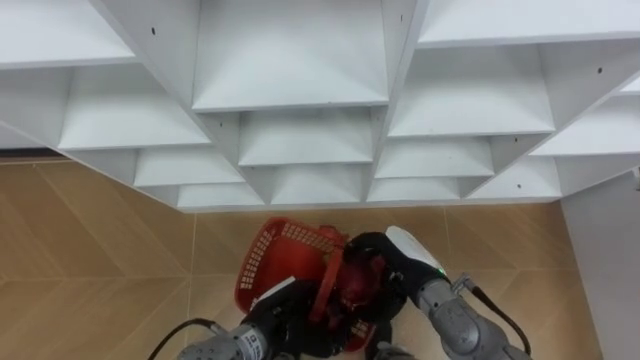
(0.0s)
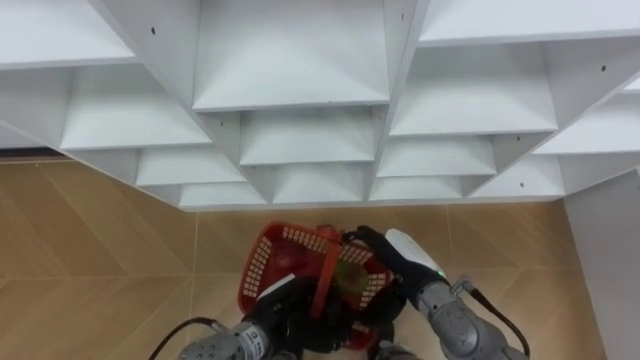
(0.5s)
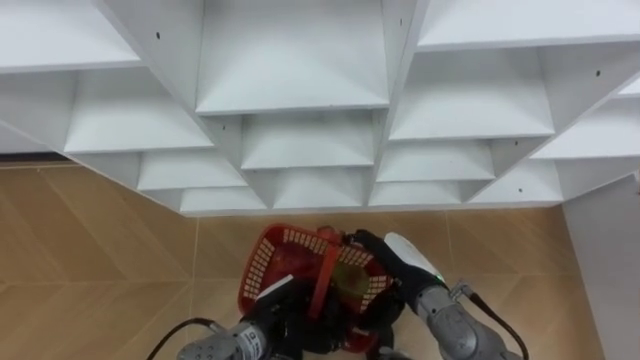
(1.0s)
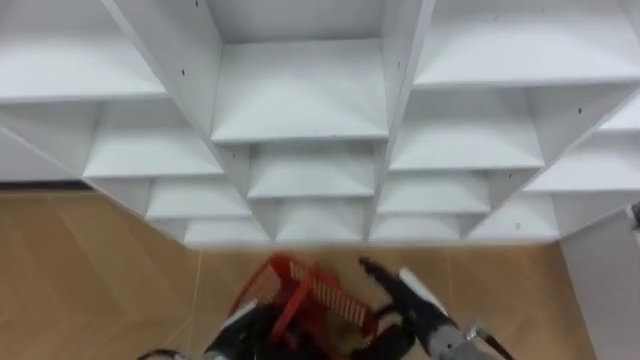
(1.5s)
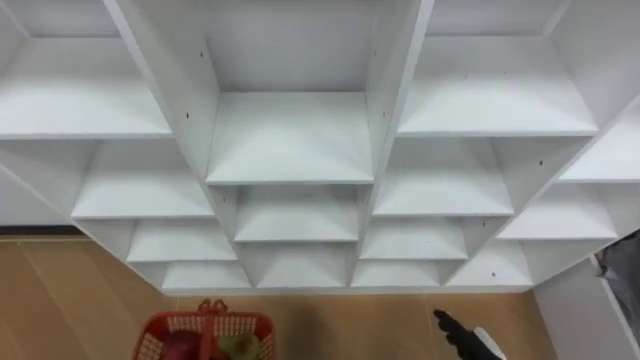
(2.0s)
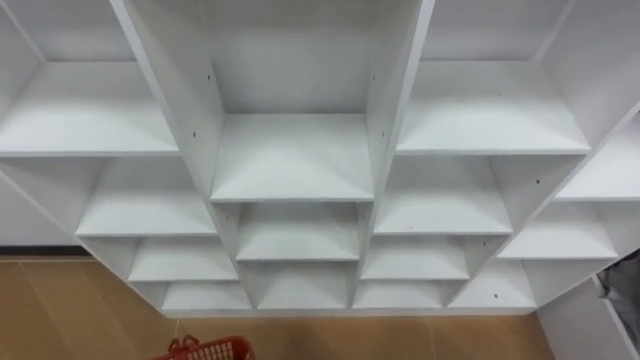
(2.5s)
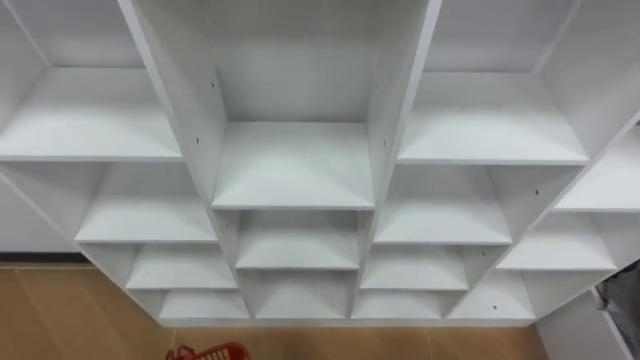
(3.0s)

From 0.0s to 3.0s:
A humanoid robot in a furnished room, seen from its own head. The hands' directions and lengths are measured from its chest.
Task of the whole recording: Hold the basket and collect the fruits from 3 different cells of the closet into it.
From 0.0s to 1.5s: The right hand moves about 5 cm, and opens. Meanwhile the left hand ends up about 5 cm from where it was.

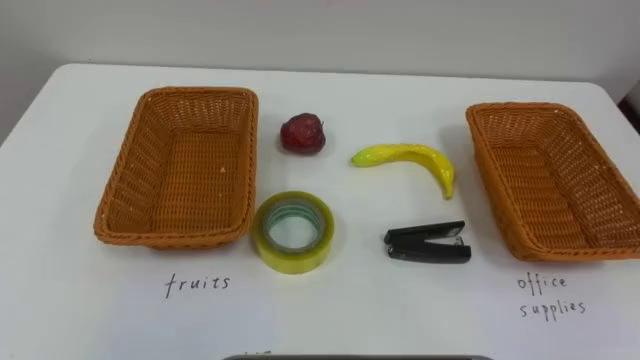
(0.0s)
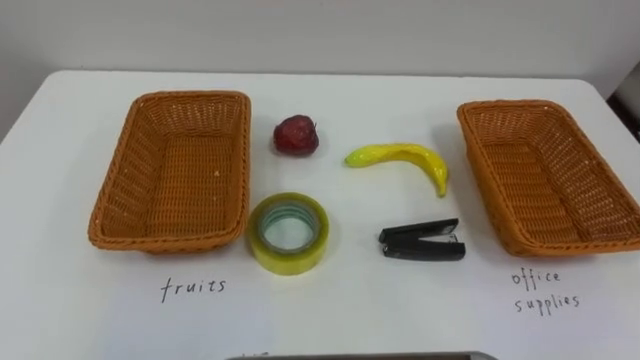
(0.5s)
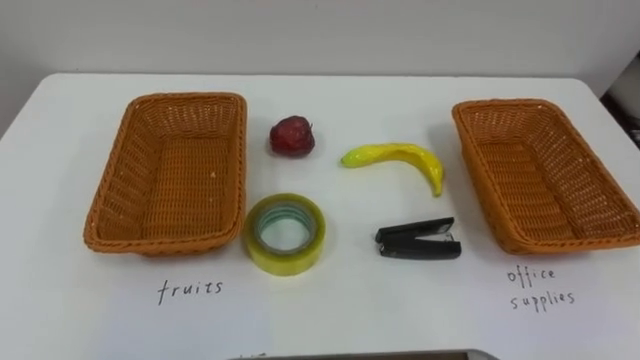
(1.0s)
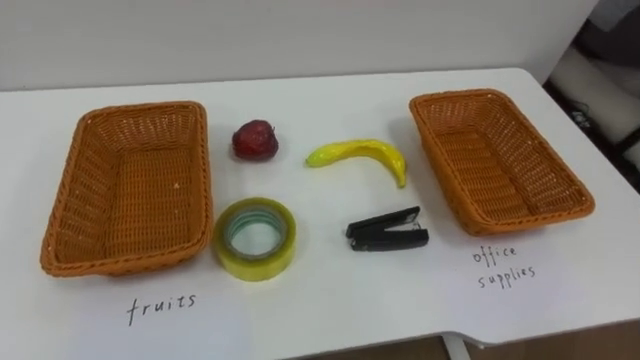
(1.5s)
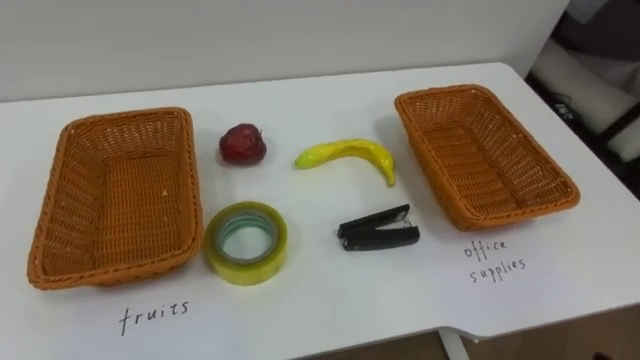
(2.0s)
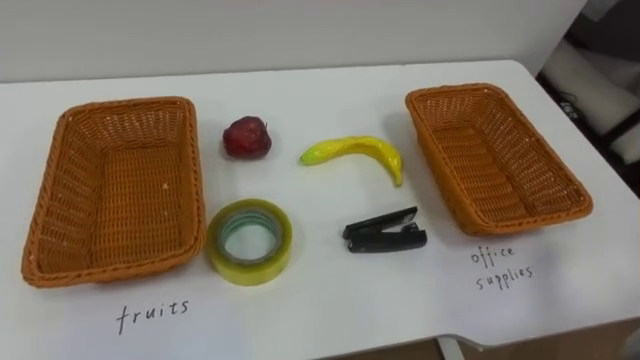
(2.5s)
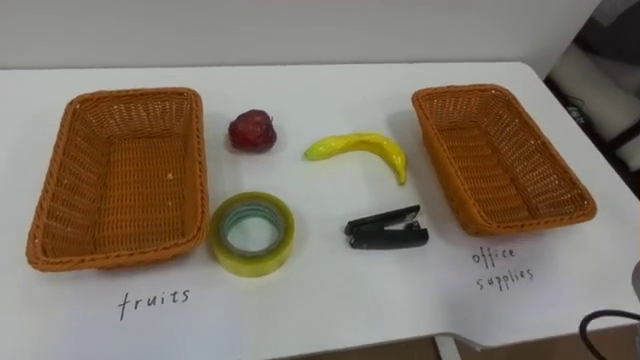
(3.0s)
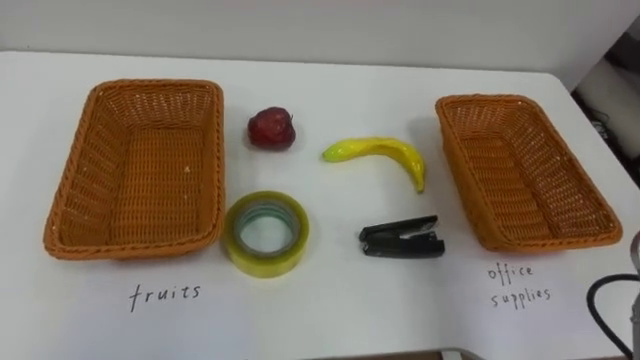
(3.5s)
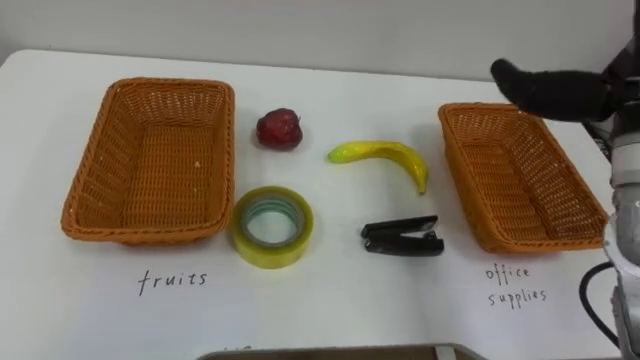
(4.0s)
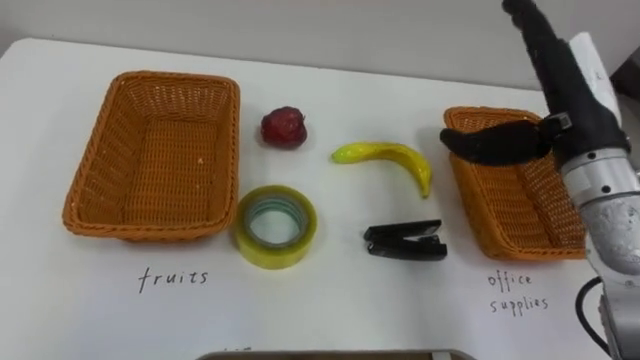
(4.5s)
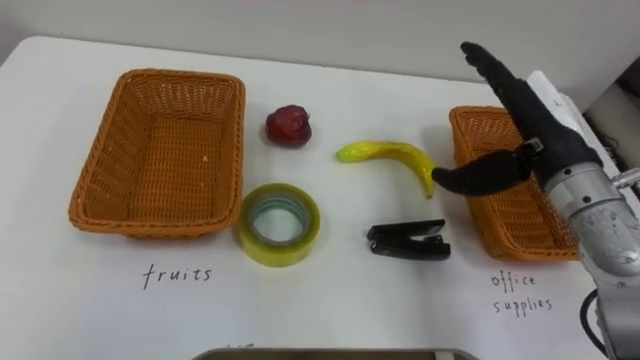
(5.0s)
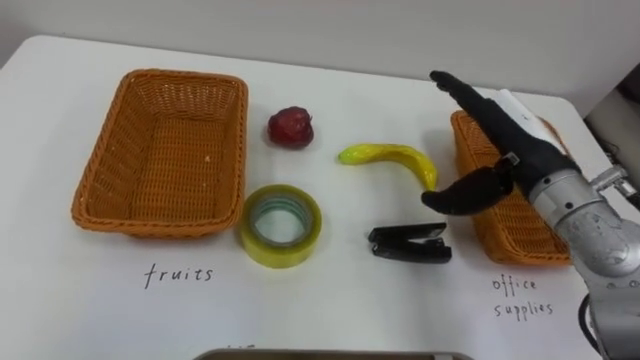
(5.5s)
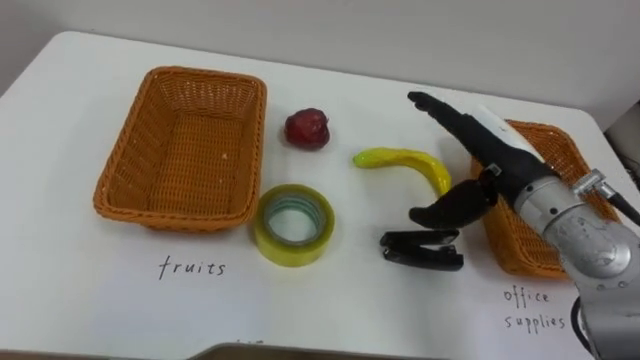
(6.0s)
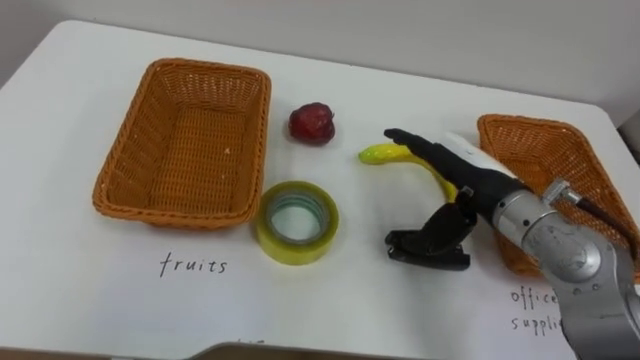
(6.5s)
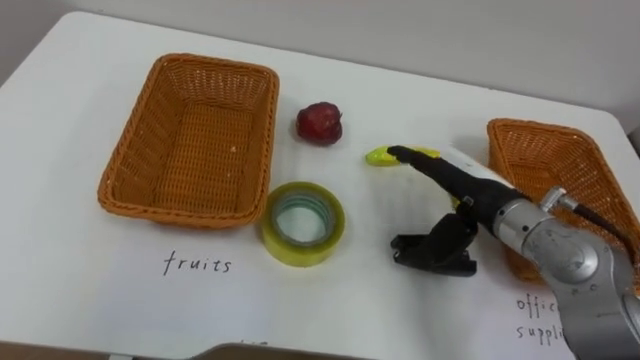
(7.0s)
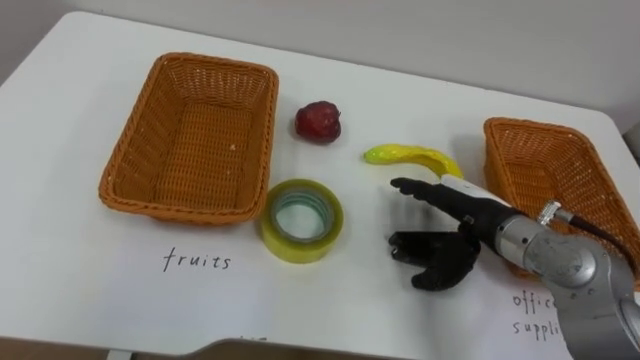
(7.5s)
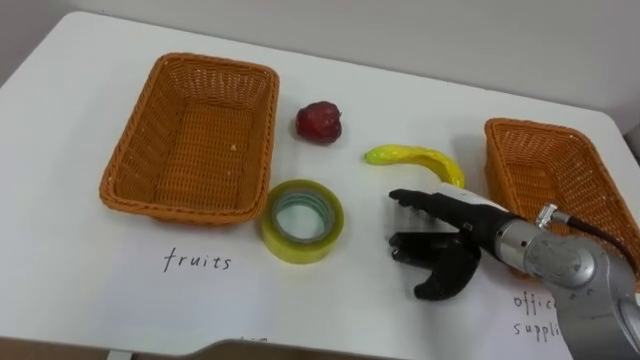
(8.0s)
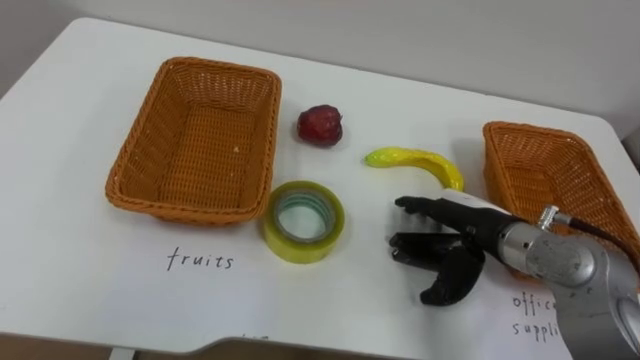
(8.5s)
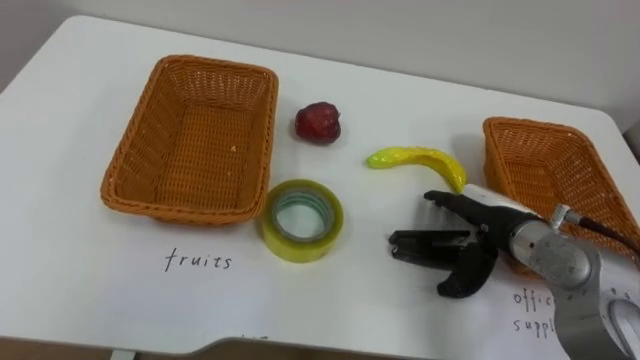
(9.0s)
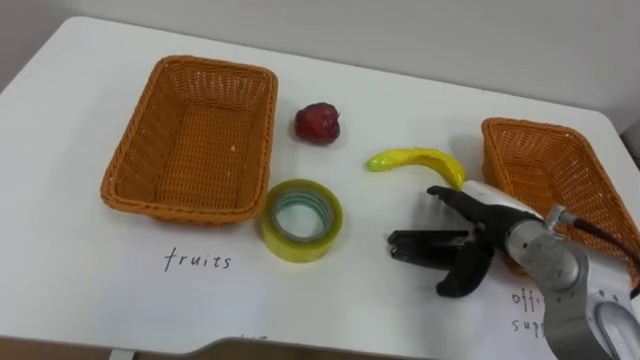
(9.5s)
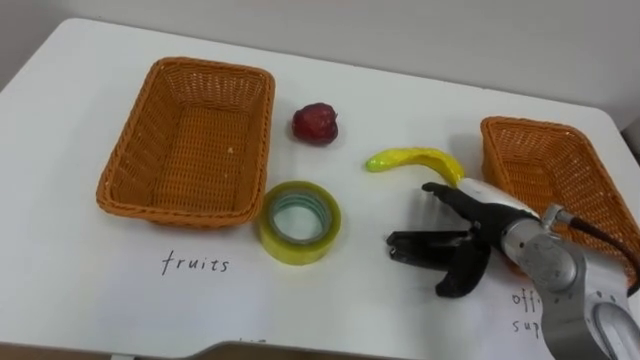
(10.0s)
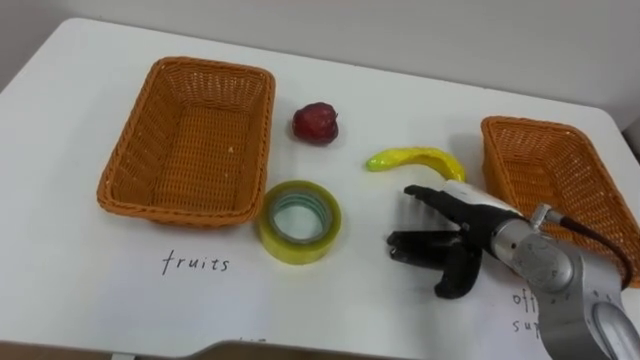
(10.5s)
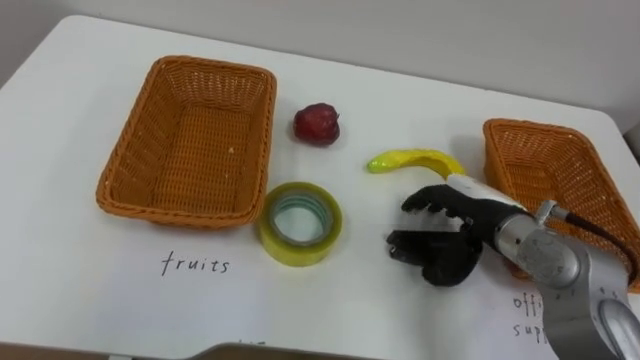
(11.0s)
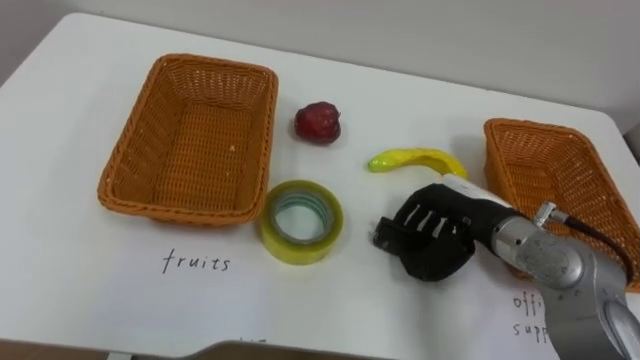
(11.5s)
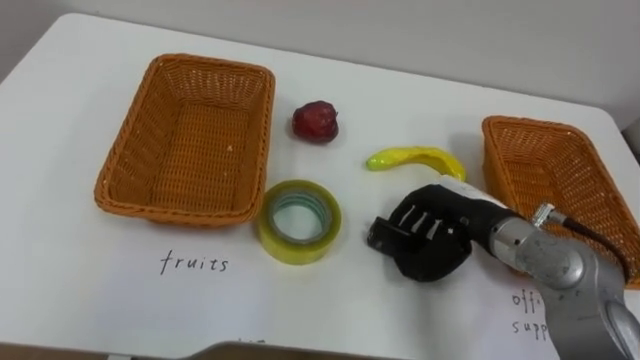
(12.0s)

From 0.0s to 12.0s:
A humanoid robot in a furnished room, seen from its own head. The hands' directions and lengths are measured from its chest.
Task of the whole recording: Separate the items on the table and place them into the two baskets.
From 4.0s to 6.0s: The right hand is displaced downward and to the left by roughly 15 cm.
From 6.0s to 8.0s: The right hand travels downward by about 10 cm.
From 10.0s to 12.0s: The right hand closes.

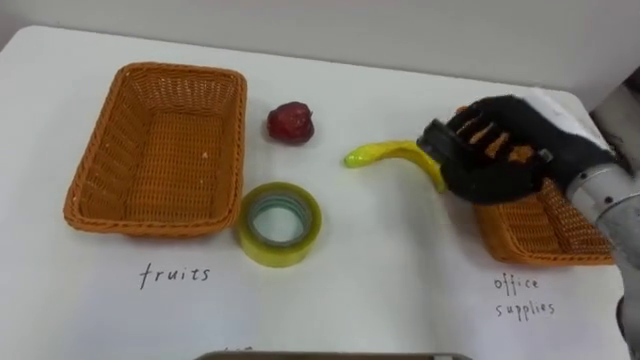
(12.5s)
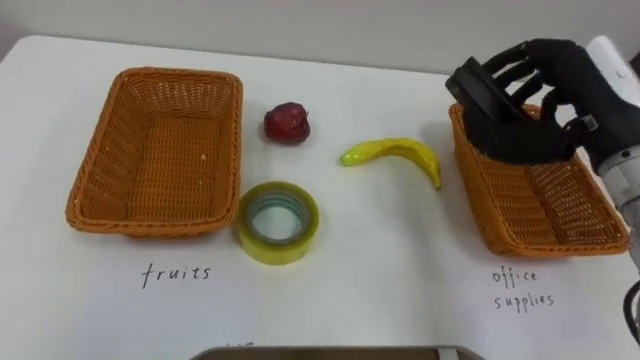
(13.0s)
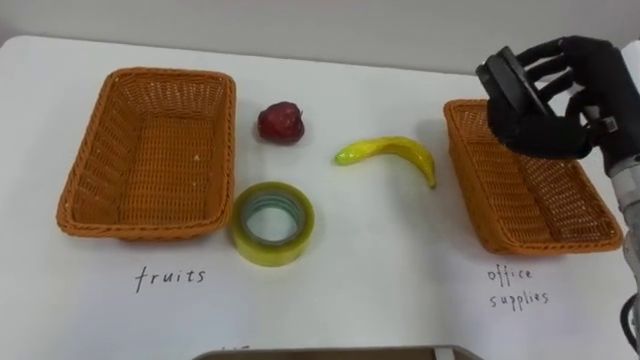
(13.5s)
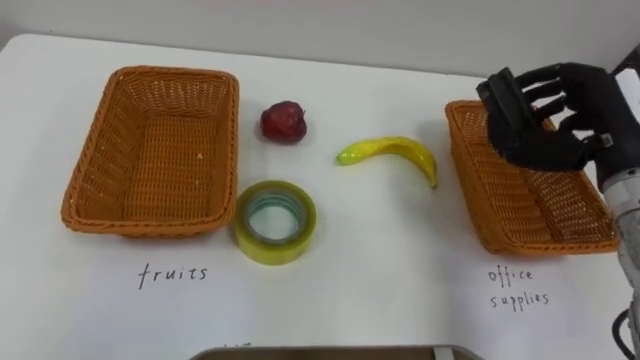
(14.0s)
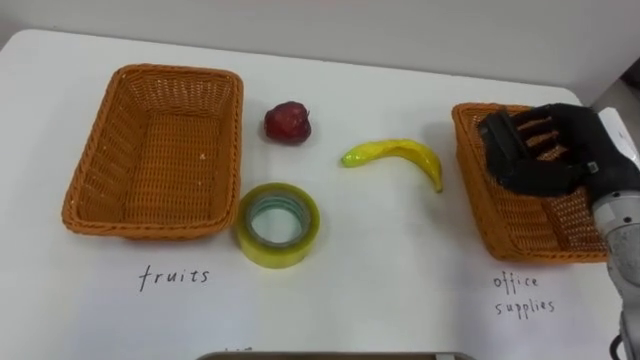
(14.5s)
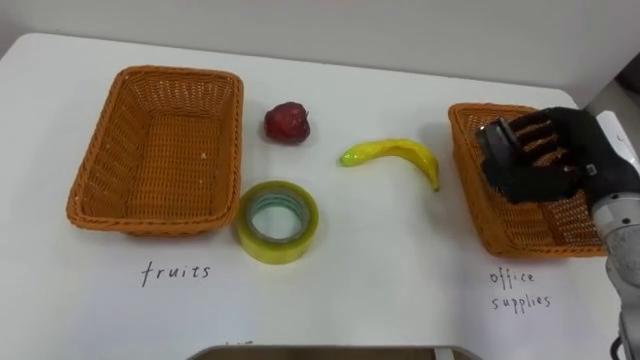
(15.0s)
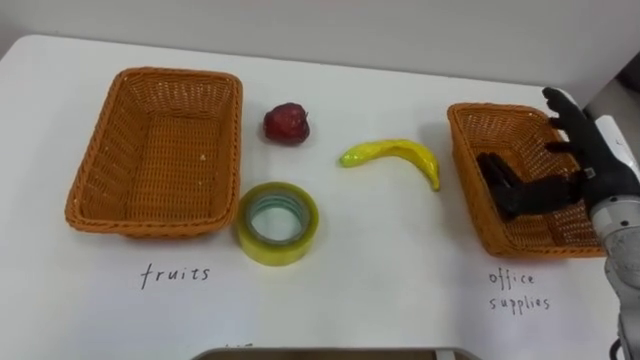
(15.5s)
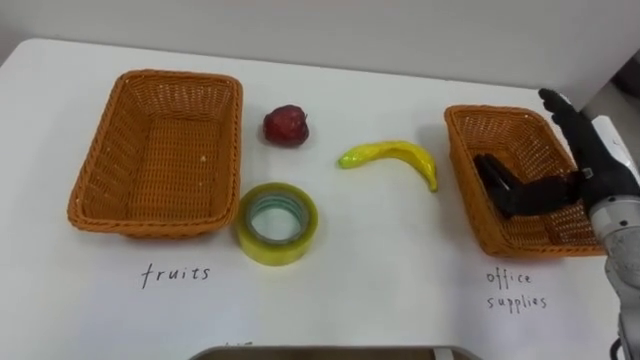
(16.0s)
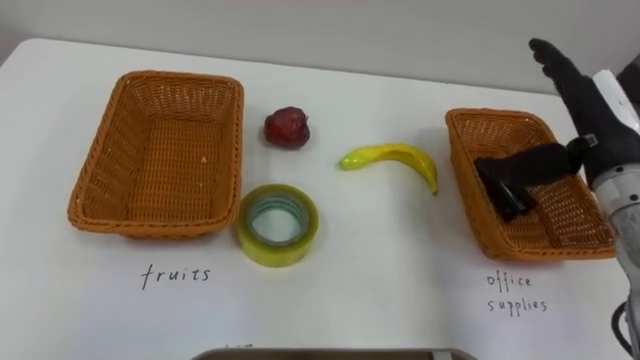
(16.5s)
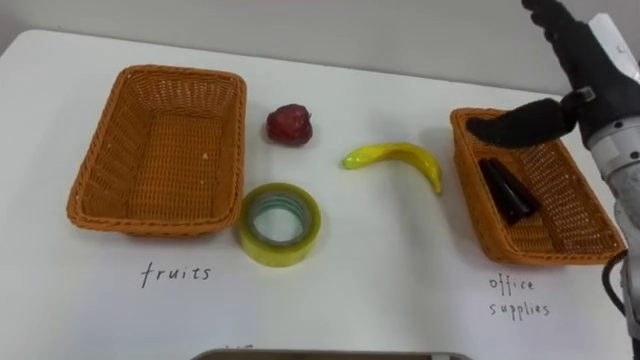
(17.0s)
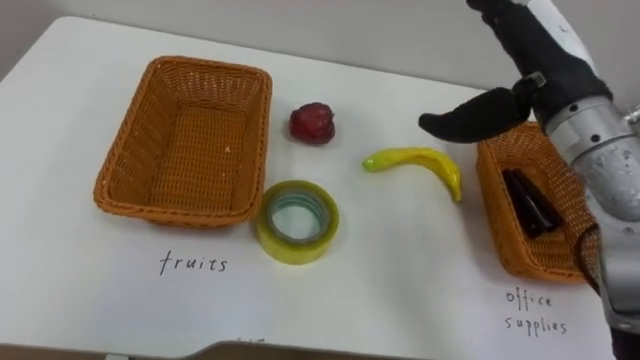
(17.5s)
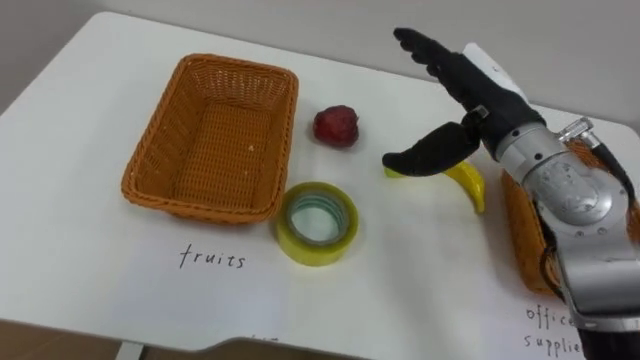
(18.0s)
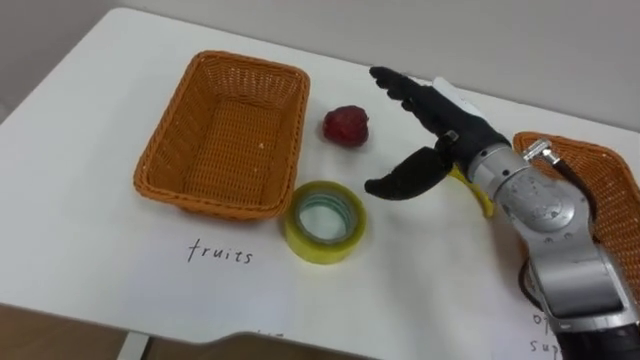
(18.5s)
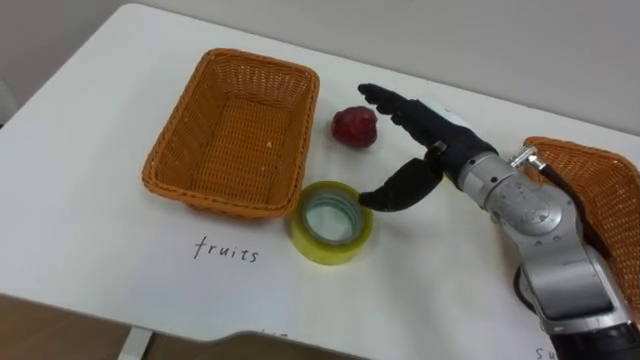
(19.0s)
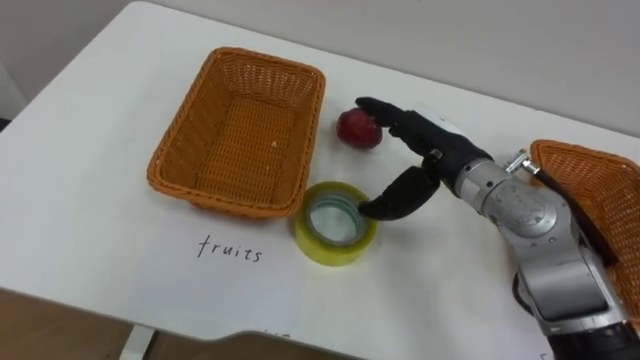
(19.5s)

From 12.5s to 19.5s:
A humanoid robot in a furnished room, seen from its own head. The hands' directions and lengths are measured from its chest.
Task of the whole recording: Separate the items on the table and place them into the two baskets.
From 12.5s to 14.5s: The right hand moves to the right, some 5 cm.
From 14.5s to 16.0s: The right hand opens its fingers.
From 16.0s to 17.5s: The right hand is displaced upward and to the left by some 15 cm.
From 17.5s to 19.5s: The right hand shifts about 15 cm downward and to the left.
